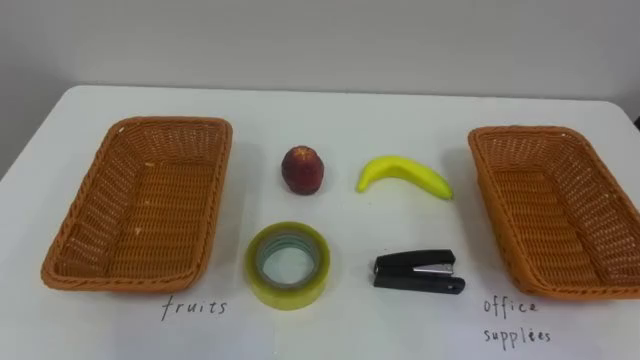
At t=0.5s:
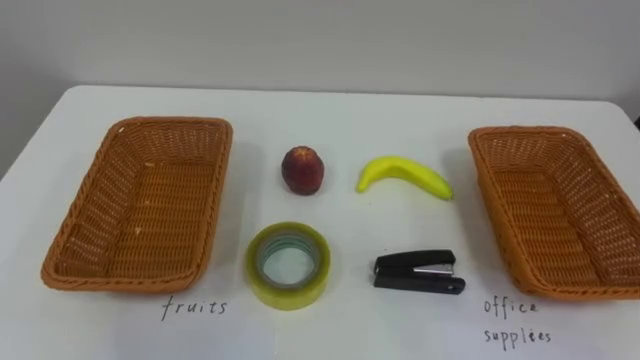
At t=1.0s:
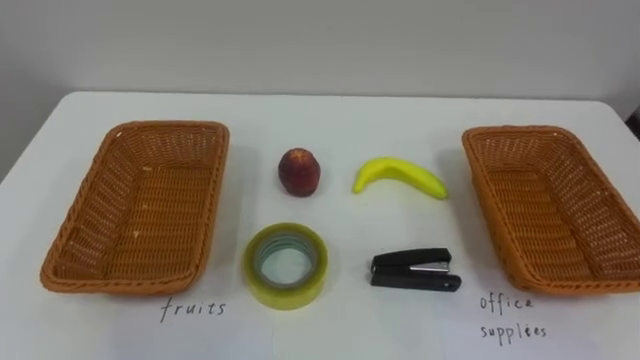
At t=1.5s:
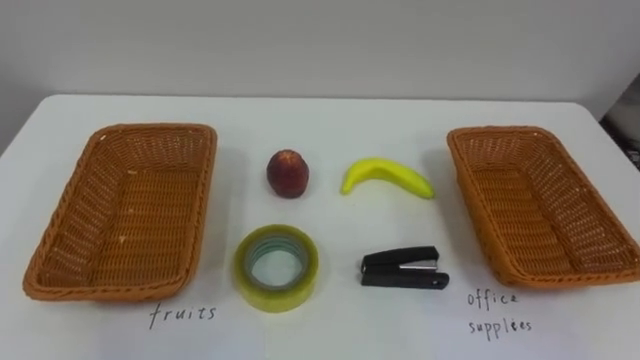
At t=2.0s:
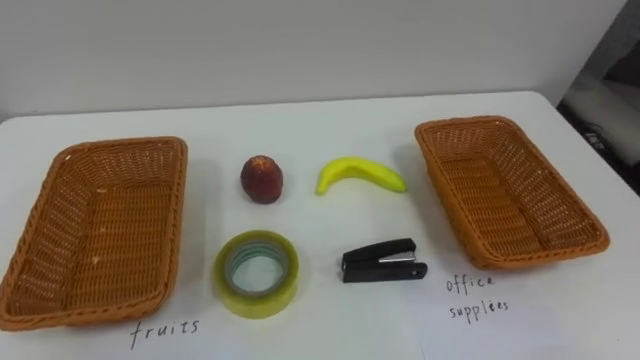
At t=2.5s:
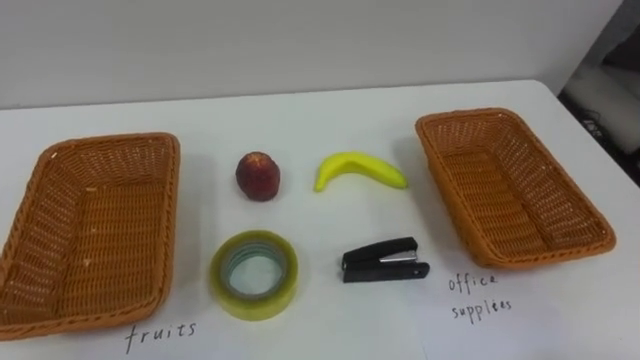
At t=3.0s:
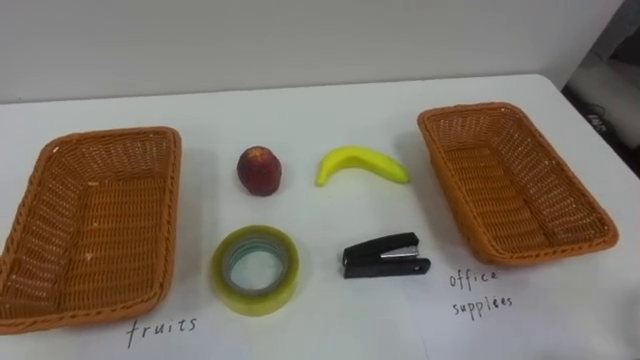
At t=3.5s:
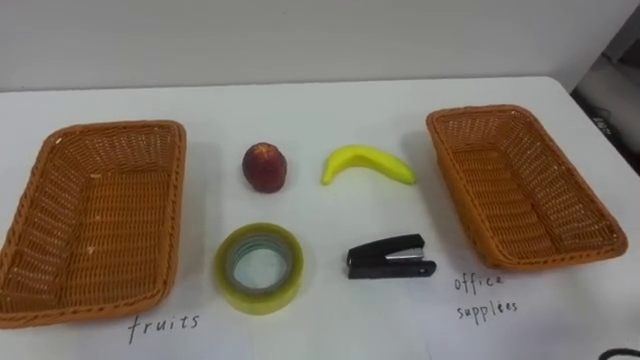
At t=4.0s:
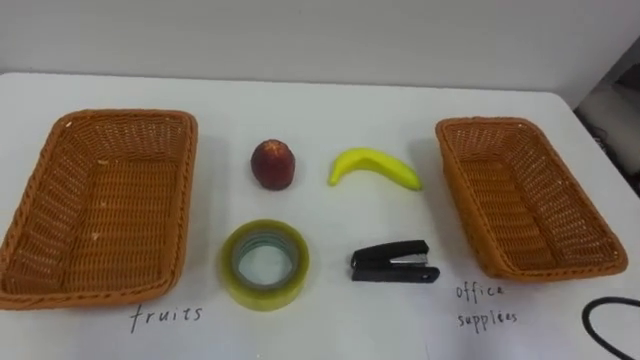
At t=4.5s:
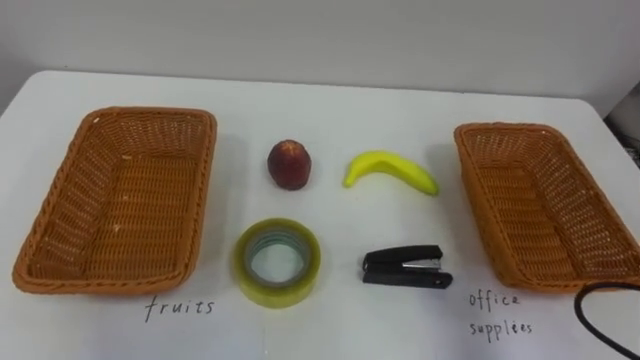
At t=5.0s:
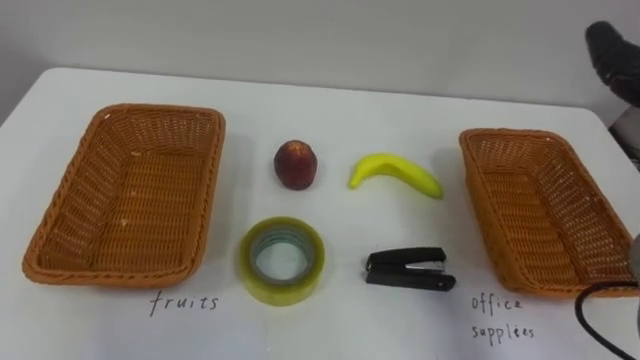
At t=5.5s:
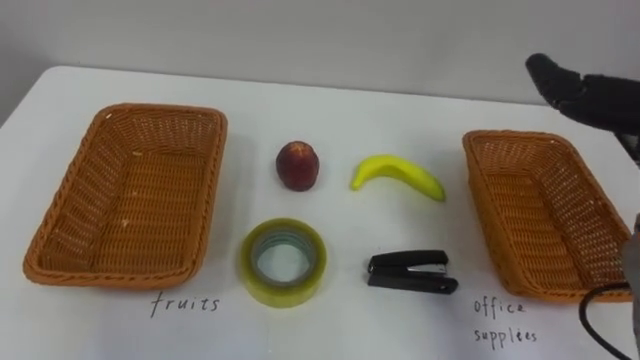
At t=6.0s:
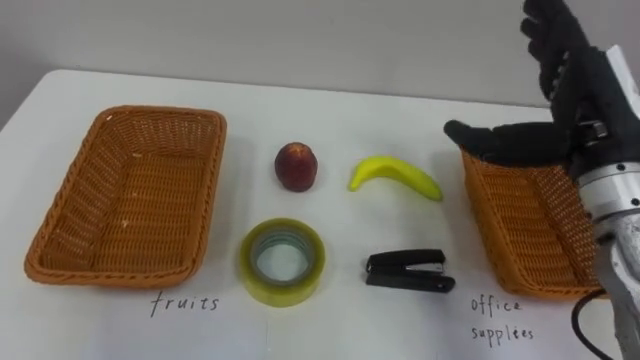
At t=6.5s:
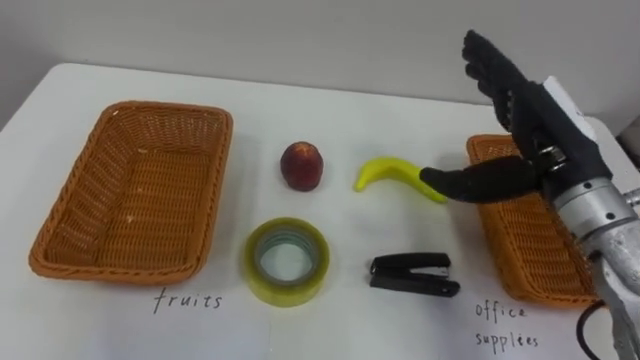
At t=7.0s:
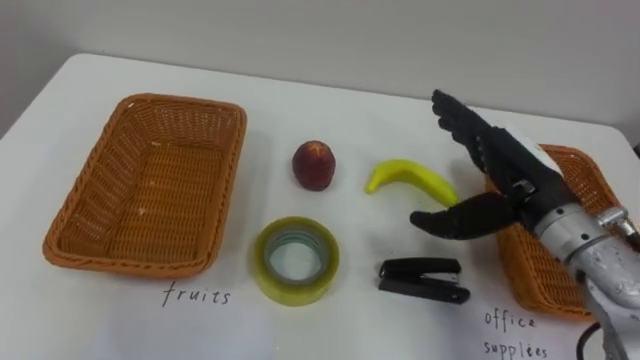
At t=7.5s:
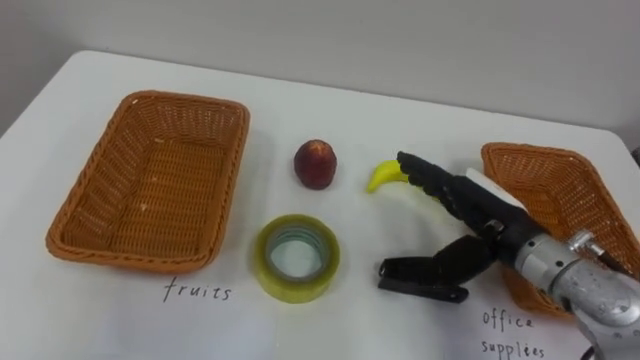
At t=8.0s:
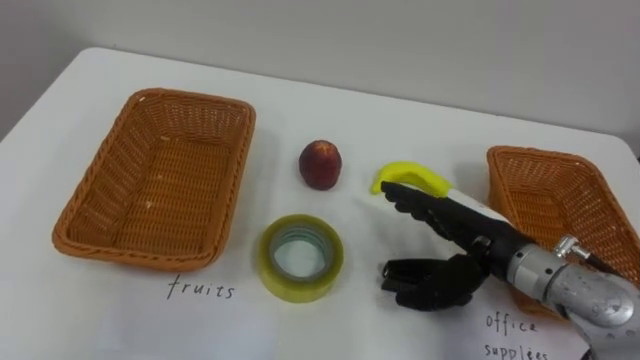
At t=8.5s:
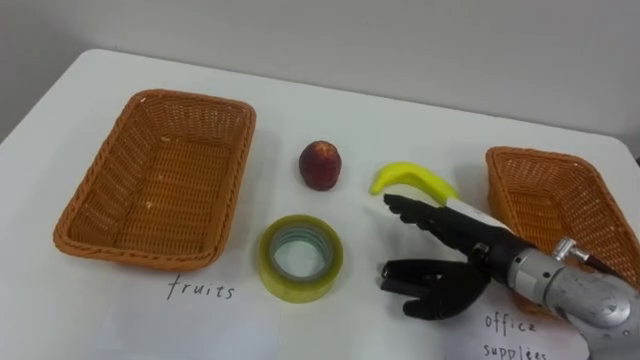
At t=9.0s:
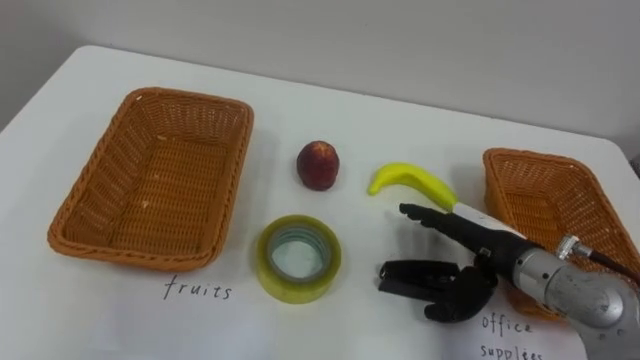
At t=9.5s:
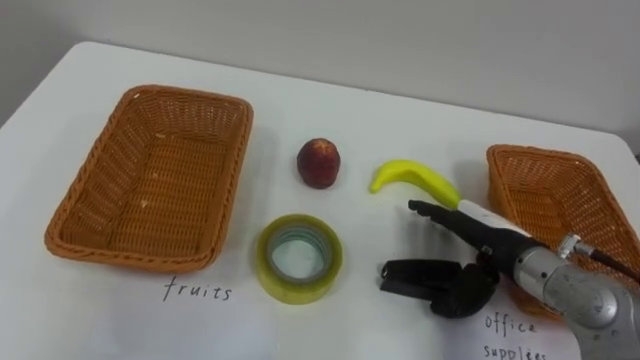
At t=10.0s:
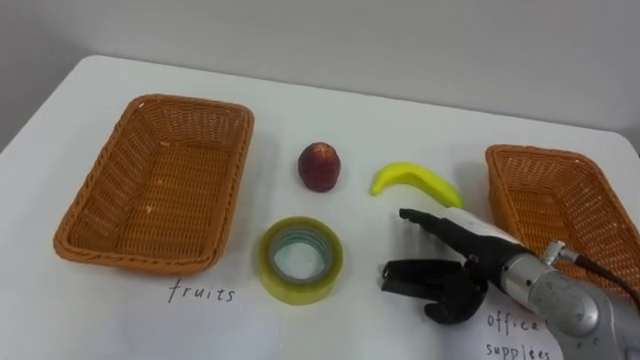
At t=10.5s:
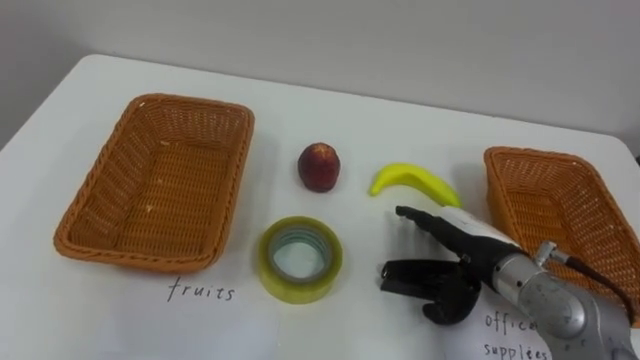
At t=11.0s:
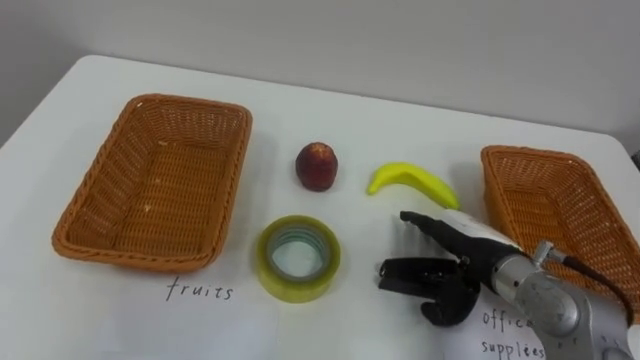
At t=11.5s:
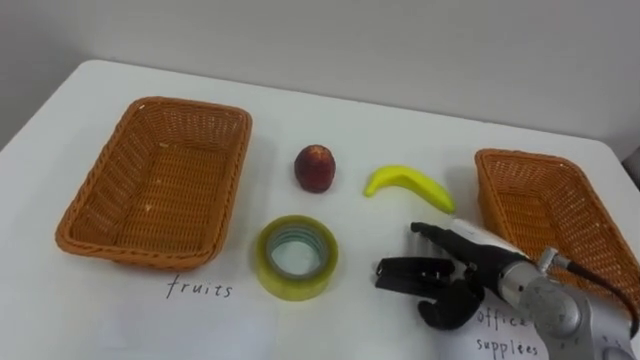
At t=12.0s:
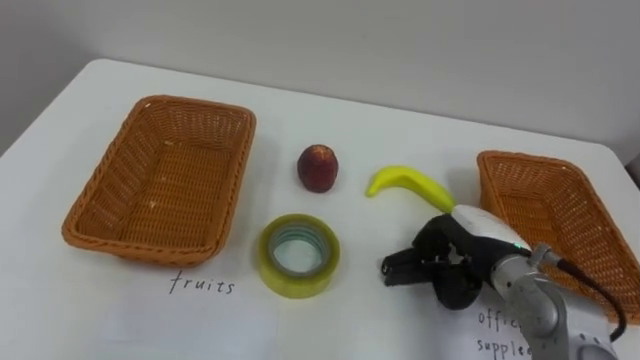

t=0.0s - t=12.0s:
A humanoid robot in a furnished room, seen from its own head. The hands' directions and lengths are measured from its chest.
Task of the whole recording: Separate the items on the table and place them into the two baskets.
t=6.0s - t=8.0s: The right hand goes about 15 cm downward and to the left.
t=10.0s - t=12.0s: The right hand closes.

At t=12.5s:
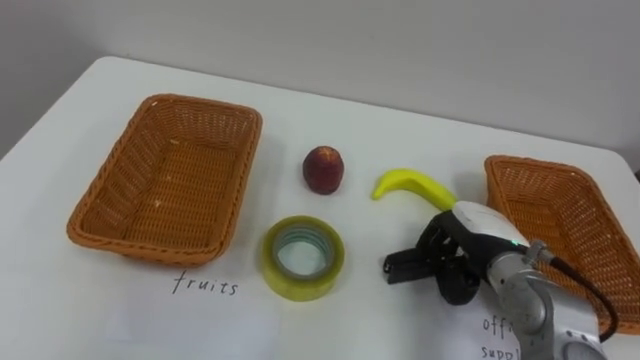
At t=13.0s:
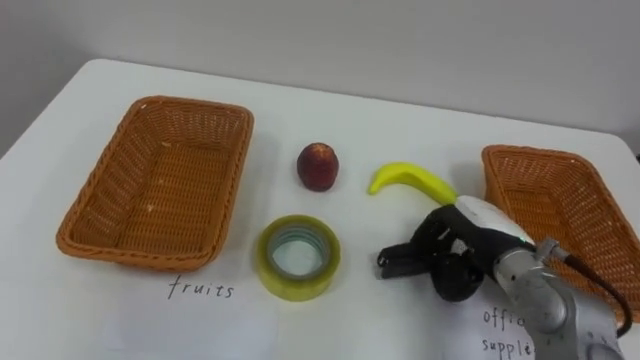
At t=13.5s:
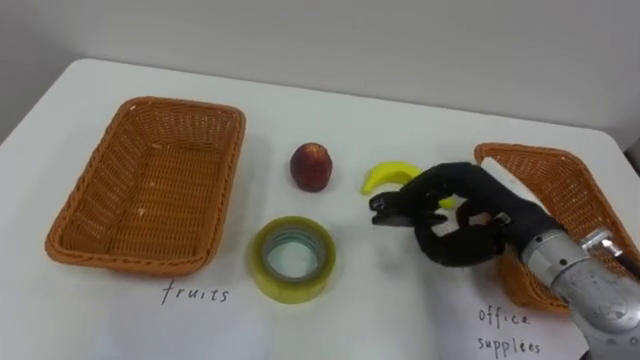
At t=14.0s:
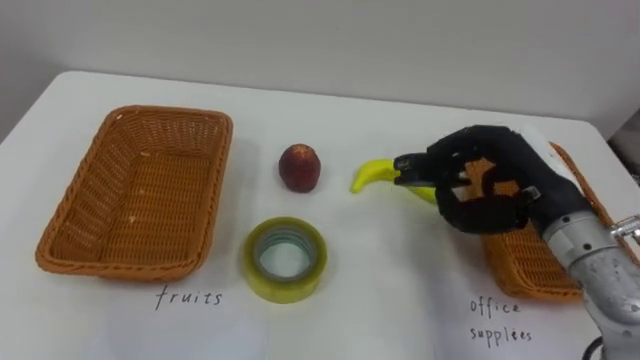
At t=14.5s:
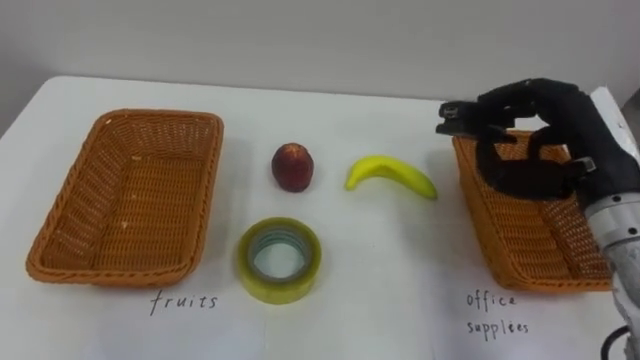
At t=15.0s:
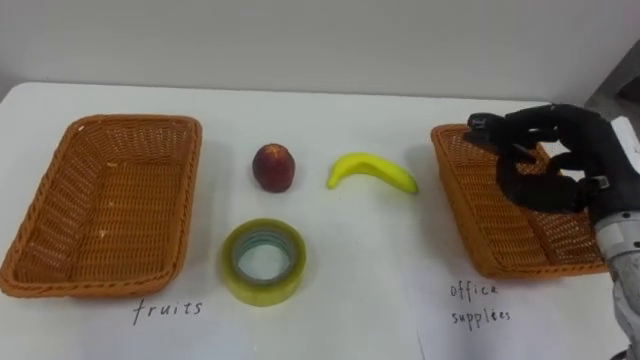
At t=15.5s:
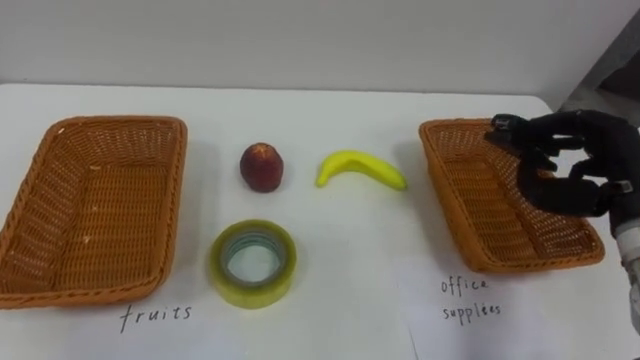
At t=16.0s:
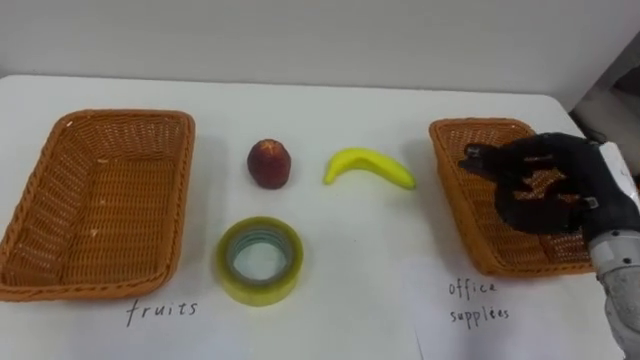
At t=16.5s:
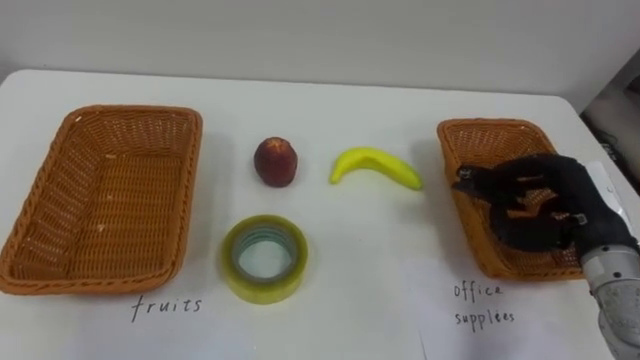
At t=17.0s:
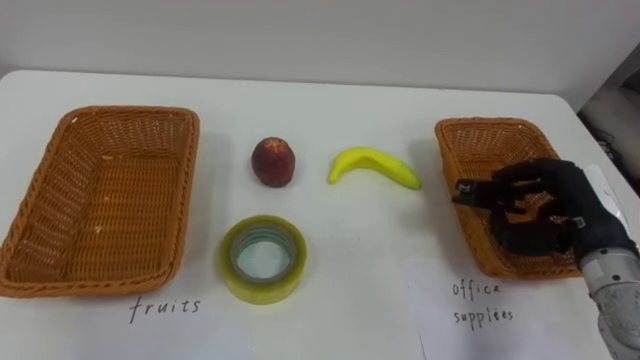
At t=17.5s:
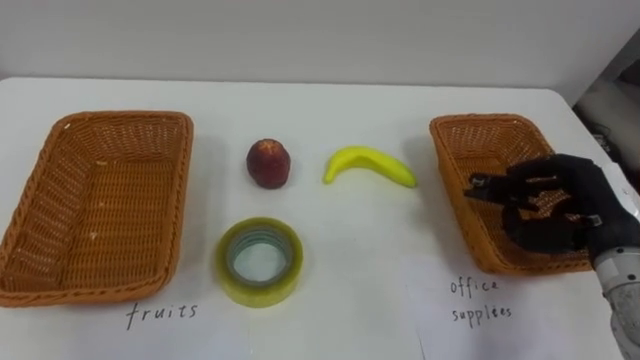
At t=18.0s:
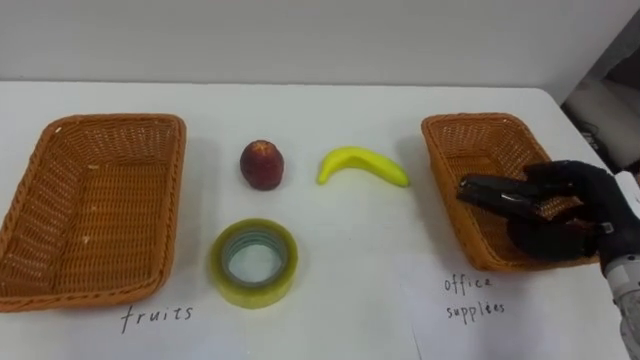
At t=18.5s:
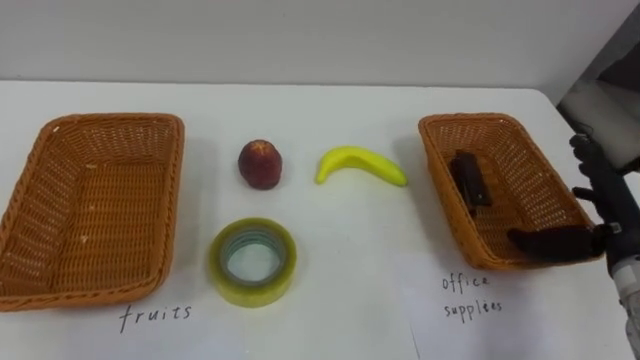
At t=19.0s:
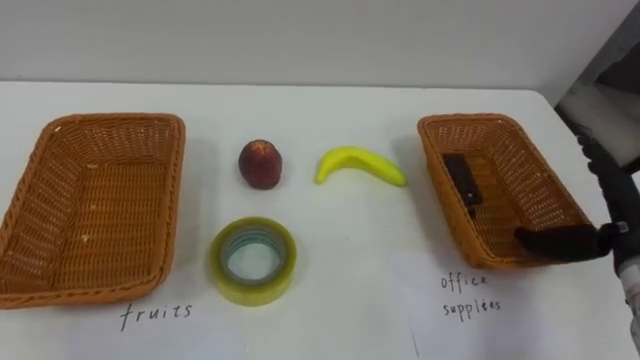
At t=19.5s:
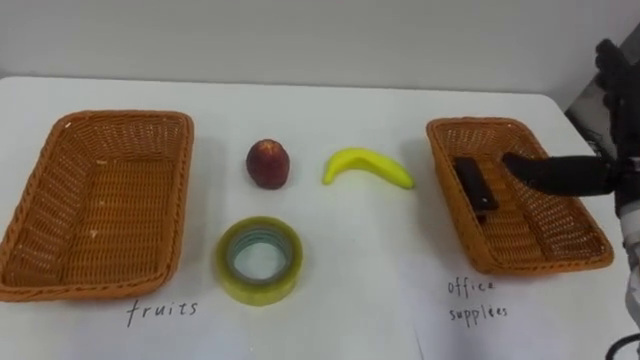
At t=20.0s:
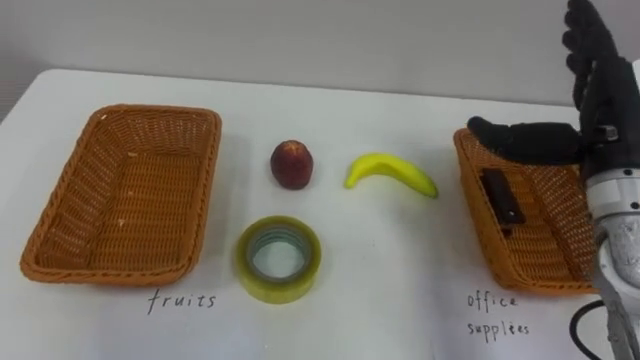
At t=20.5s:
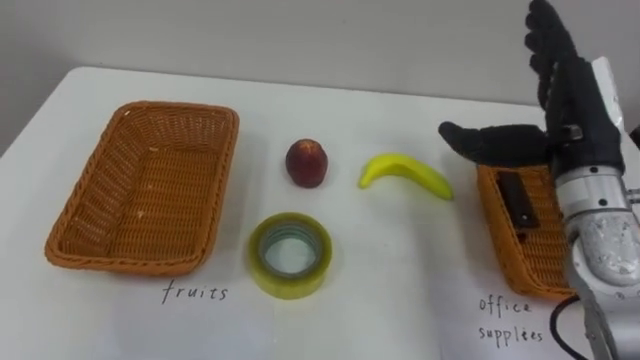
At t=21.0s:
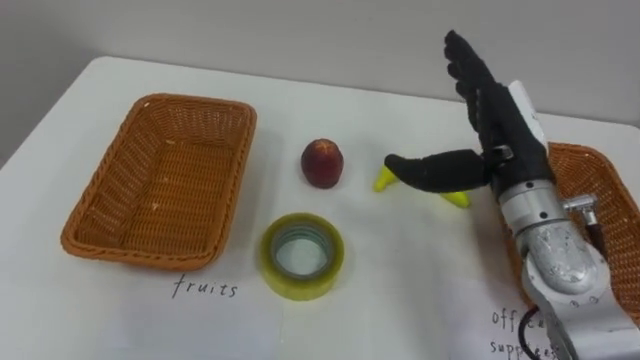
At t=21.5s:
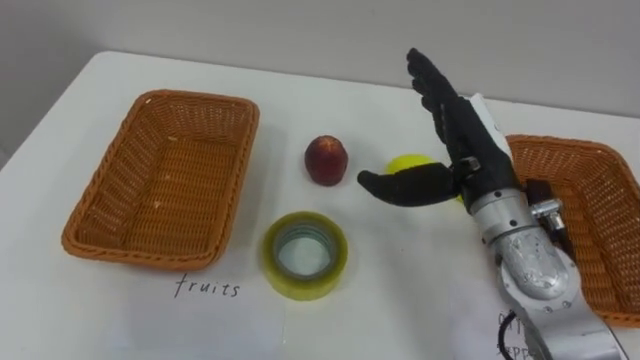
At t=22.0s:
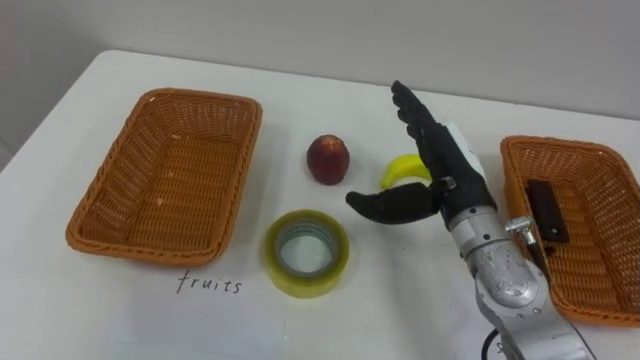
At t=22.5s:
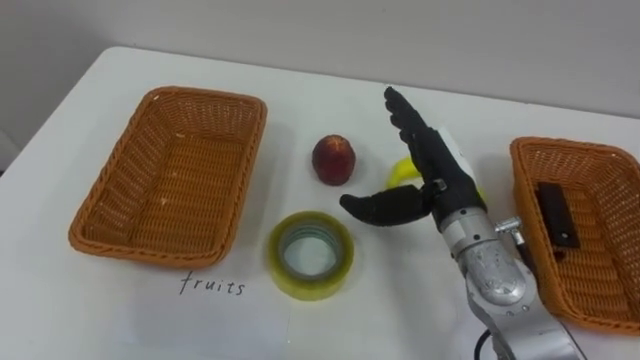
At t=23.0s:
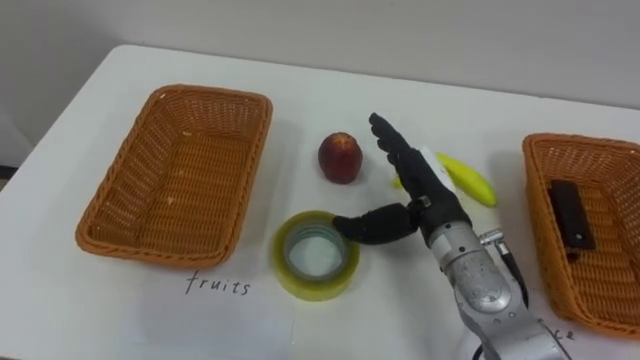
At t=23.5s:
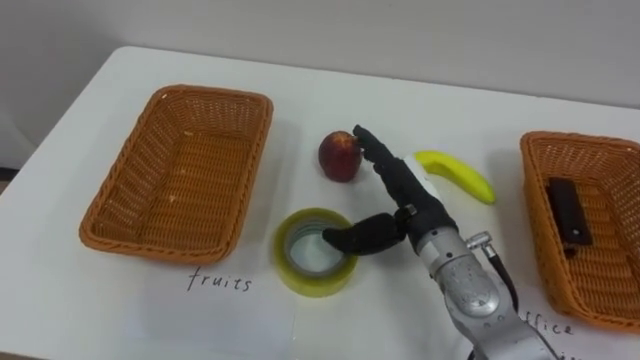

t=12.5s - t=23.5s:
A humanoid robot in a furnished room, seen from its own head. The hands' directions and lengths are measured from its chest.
Task of the whole recording: Separate the items on the table and place them into the two baskets.
t=12.5s - t=14.5s: The right hand shifts roughly 15 cm upward and to the right.
t=14.5s - t=16.0s: The right hand heads downward, covering some 5 cm.
t=18.0s - t=20.0s: The right hand goes roughly 15 cm upward and to the left, and opens.
t=20.0s - t=21.5s: The right hand heads to the left, covering roughly 10 cm.
t=21.5s - t=23.5s: The right hand moves downward, approximately 10 cm.
